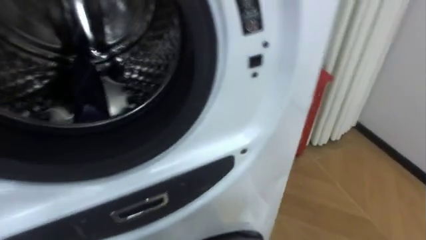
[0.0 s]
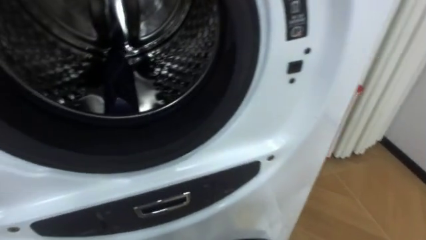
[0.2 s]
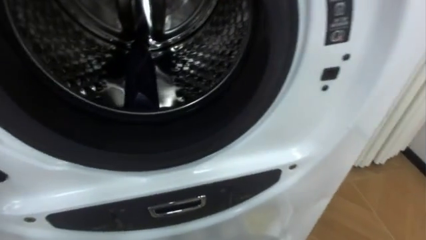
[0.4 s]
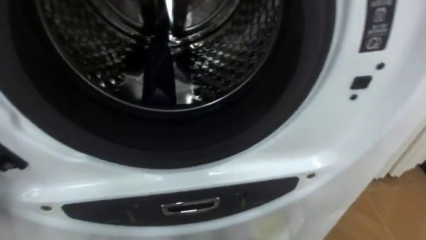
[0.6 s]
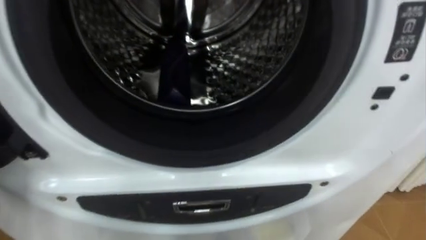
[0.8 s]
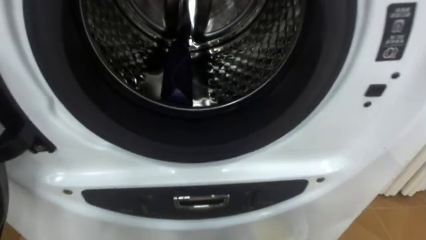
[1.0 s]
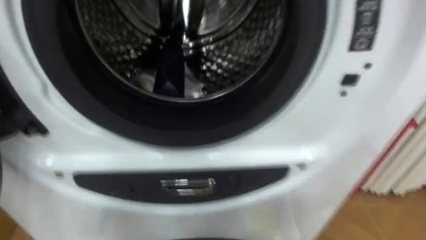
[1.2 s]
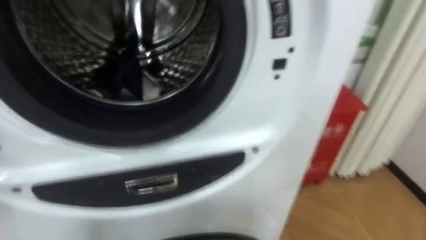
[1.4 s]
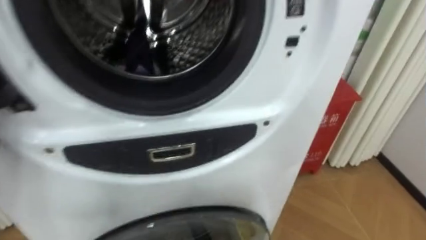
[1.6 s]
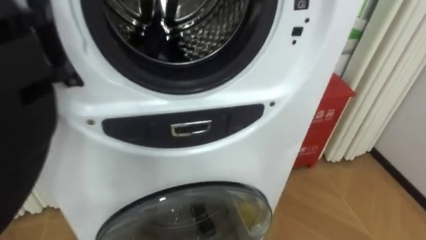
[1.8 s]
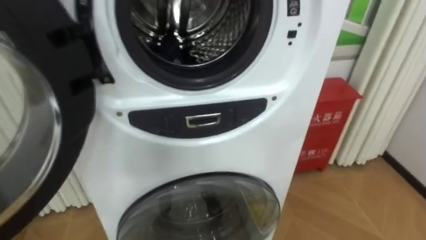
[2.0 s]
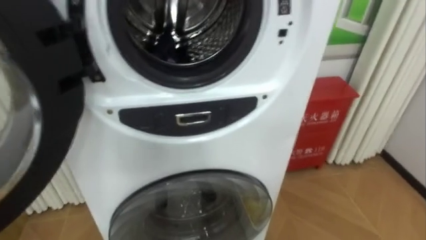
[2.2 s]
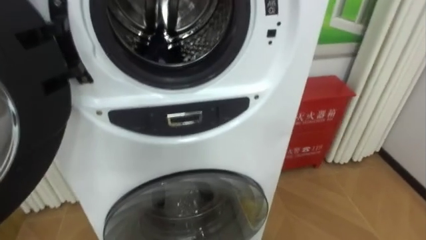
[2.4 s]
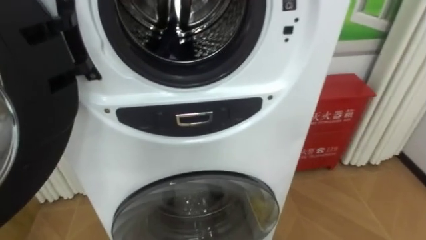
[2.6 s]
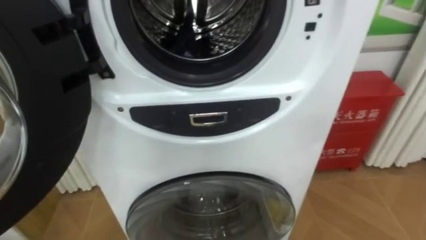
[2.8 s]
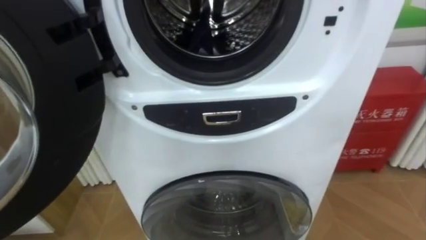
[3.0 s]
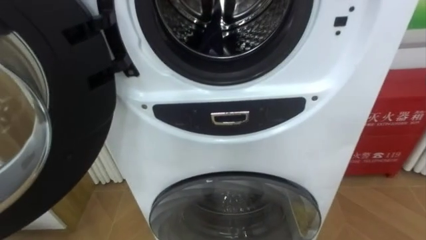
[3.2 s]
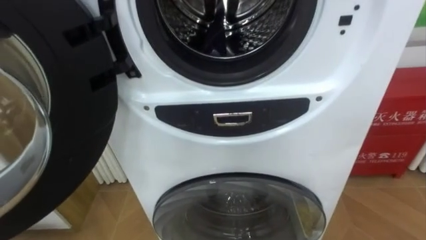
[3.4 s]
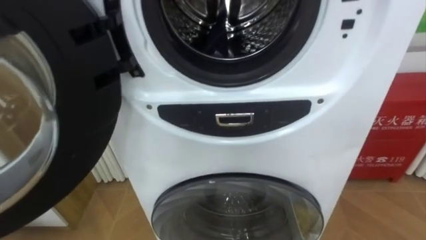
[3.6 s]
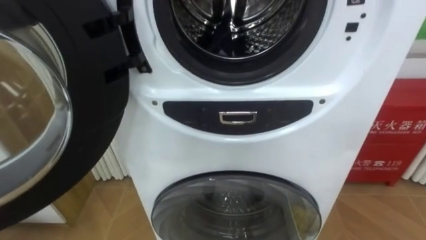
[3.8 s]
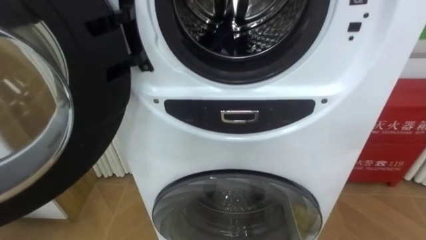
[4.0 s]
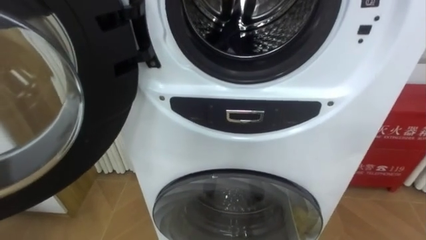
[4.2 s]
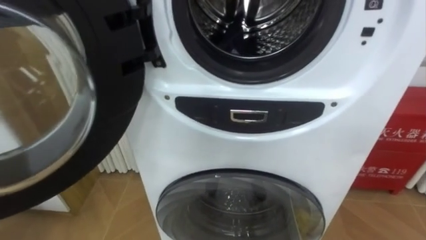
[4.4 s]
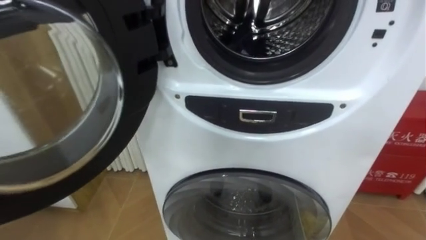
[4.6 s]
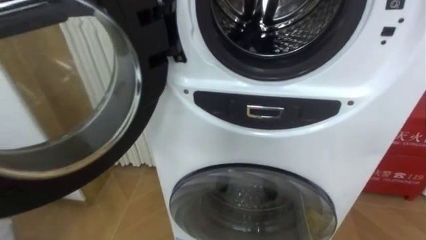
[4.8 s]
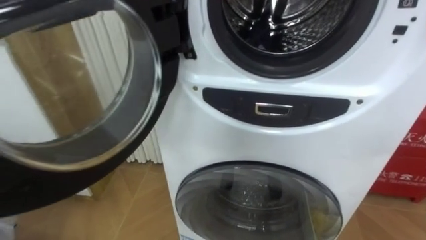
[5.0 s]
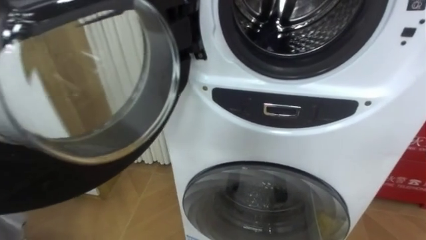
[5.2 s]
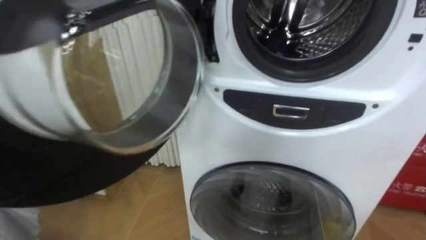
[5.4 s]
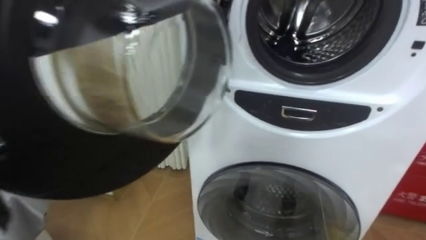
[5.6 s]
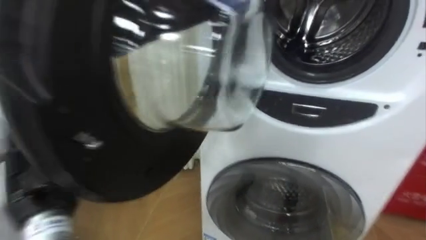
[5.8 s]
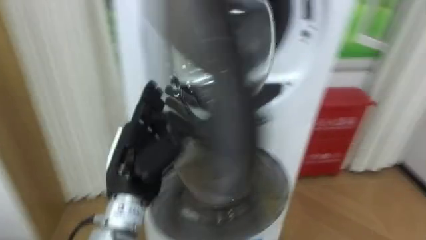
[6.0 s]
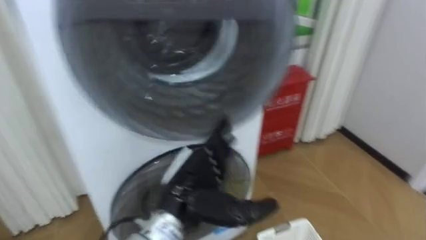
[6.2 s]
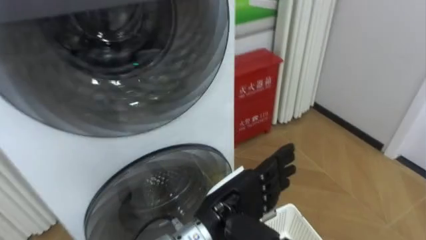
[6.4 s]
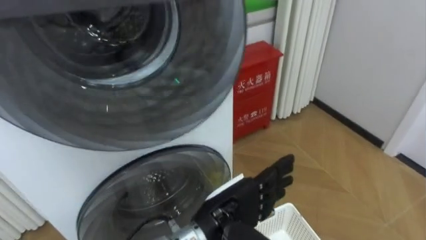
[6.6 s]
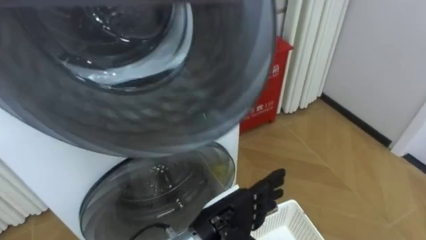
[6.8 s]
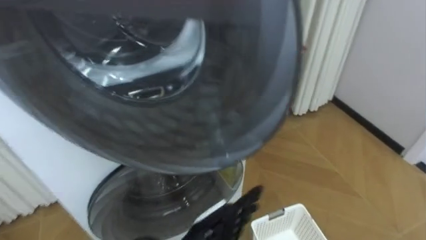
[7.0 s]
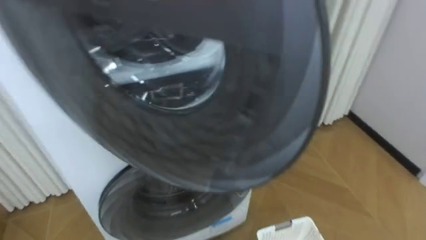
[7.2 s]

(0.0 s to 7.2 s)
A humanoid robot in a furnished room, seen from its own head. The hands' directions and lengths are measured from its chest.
Task of the whole recording: Open the washing machine door, take out the yellow clothes, place them in the box on the right, and close the washing machine door.
5.8 s - 7.2 s: The robot rotates roughly 25 degrees to its right.

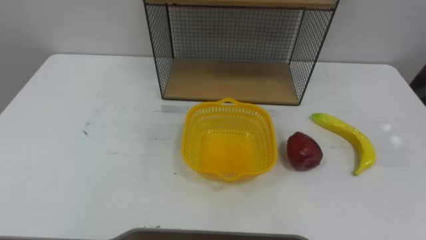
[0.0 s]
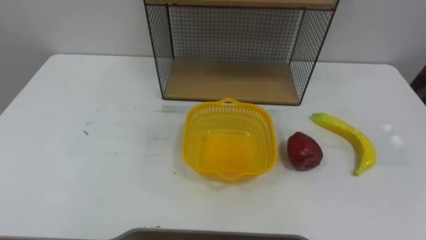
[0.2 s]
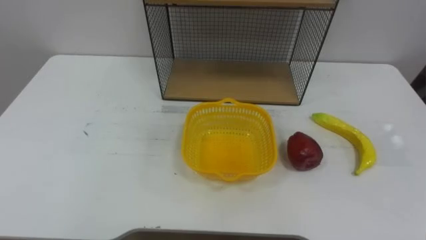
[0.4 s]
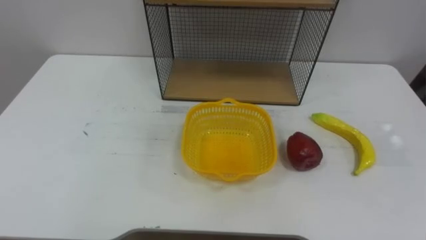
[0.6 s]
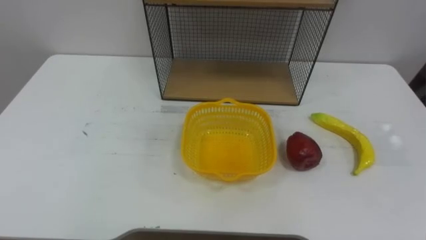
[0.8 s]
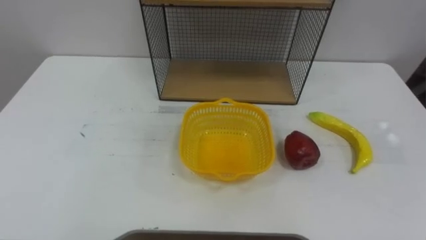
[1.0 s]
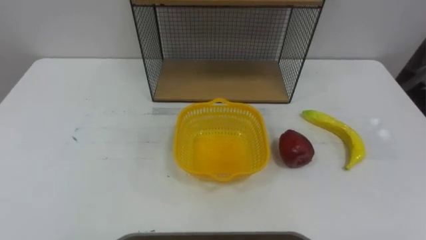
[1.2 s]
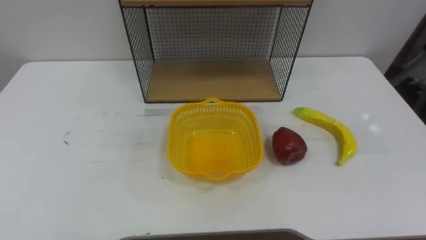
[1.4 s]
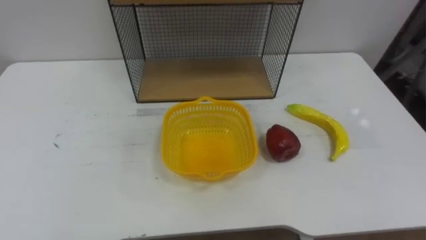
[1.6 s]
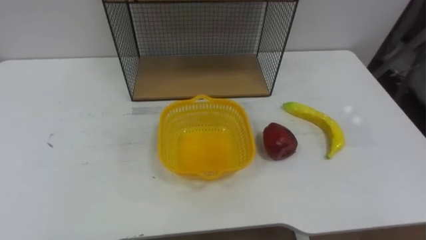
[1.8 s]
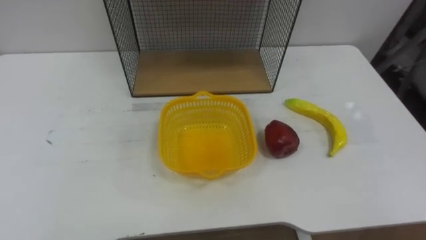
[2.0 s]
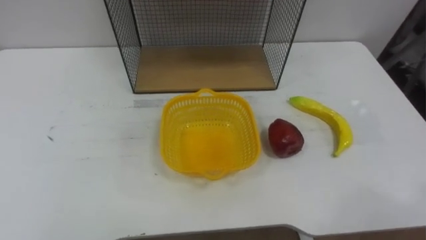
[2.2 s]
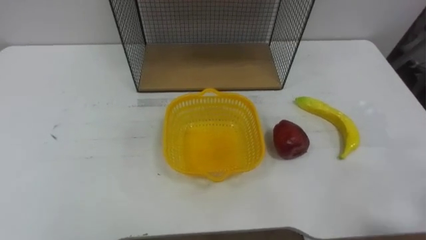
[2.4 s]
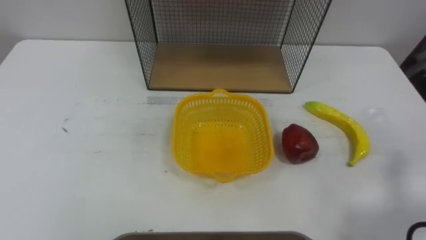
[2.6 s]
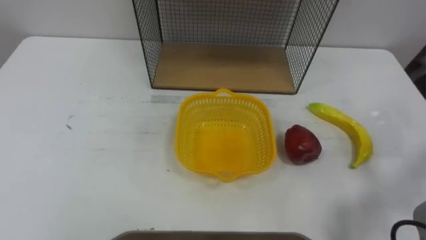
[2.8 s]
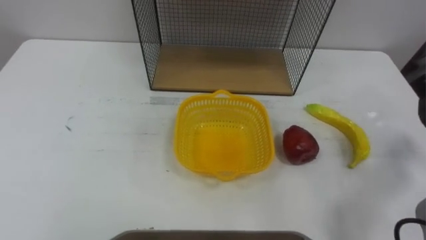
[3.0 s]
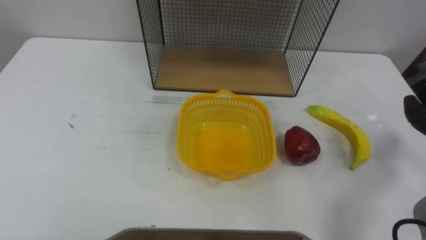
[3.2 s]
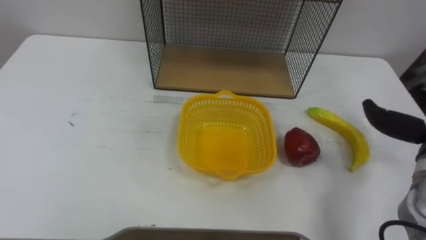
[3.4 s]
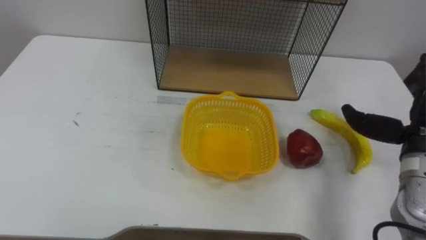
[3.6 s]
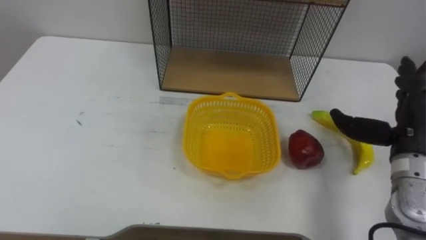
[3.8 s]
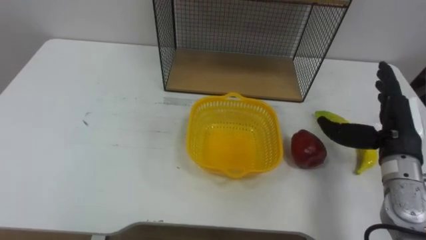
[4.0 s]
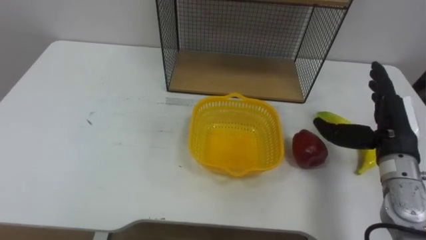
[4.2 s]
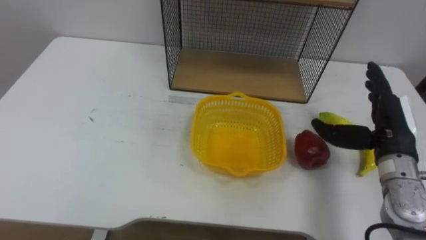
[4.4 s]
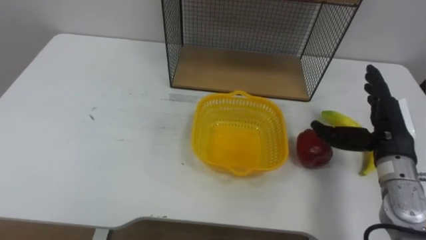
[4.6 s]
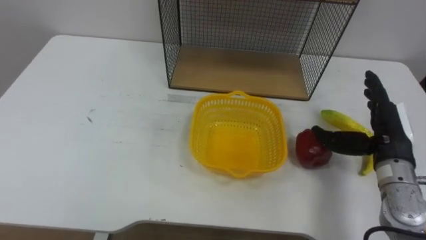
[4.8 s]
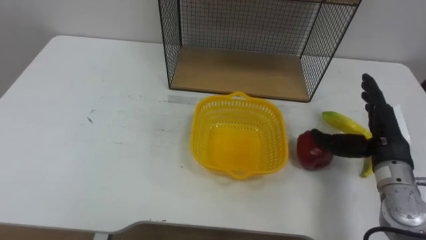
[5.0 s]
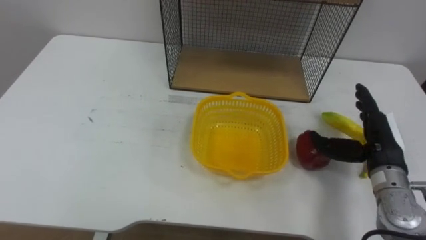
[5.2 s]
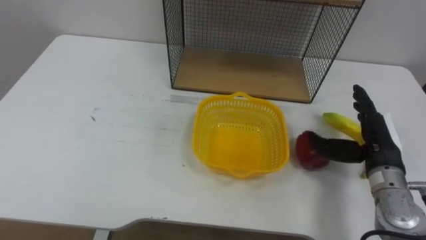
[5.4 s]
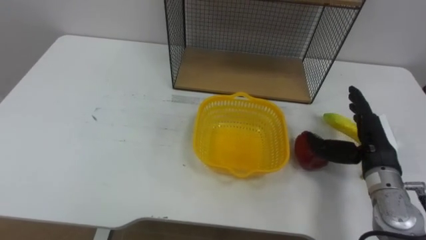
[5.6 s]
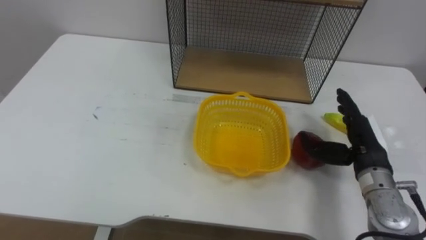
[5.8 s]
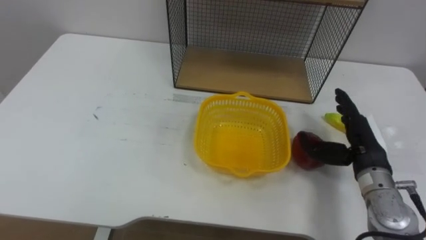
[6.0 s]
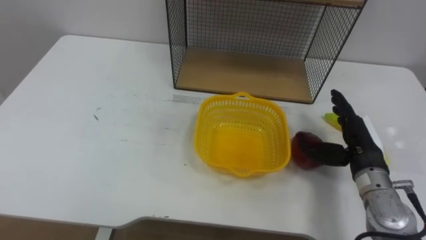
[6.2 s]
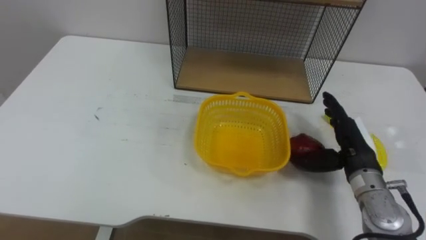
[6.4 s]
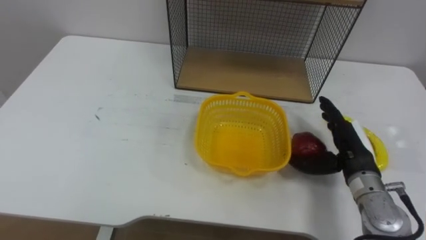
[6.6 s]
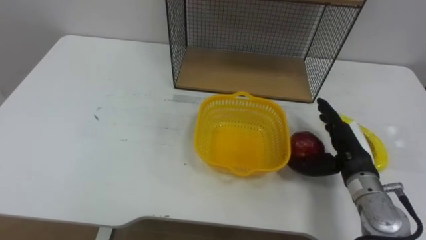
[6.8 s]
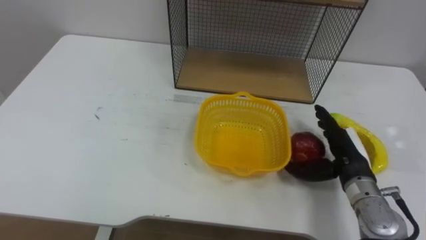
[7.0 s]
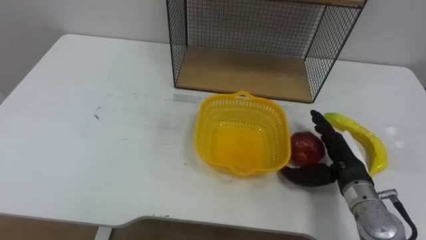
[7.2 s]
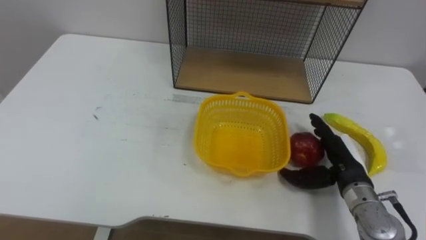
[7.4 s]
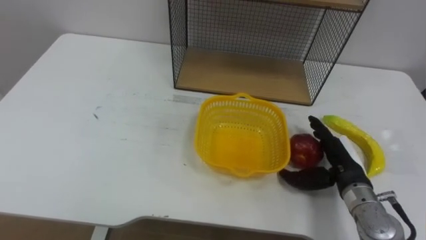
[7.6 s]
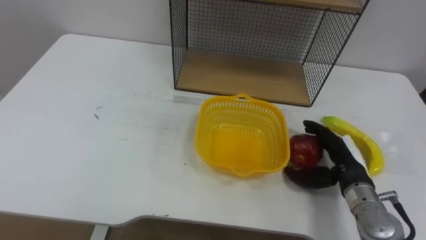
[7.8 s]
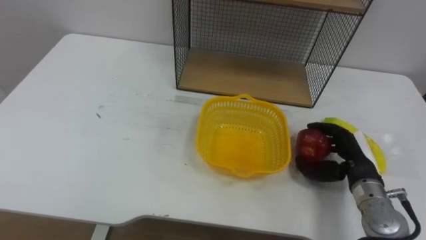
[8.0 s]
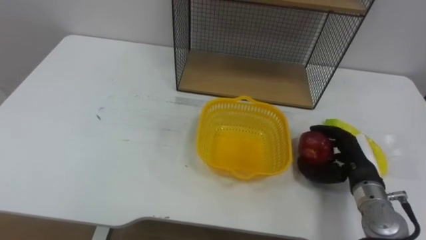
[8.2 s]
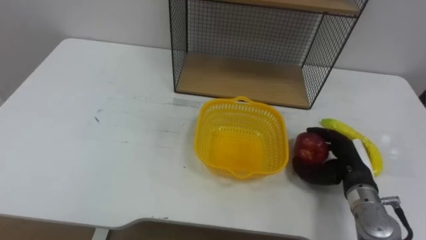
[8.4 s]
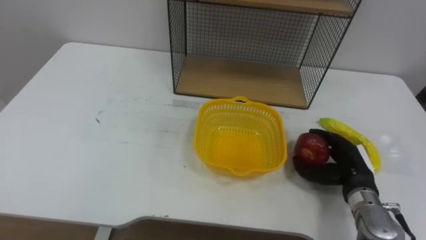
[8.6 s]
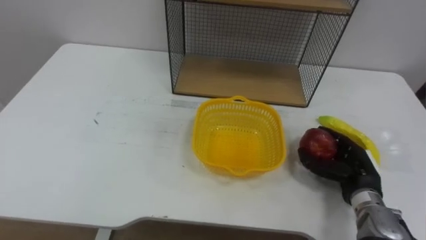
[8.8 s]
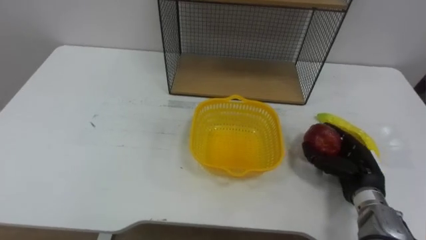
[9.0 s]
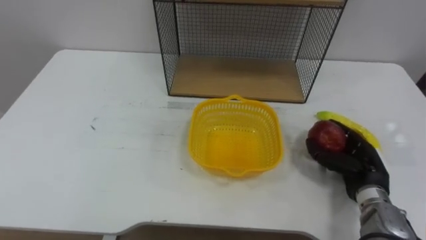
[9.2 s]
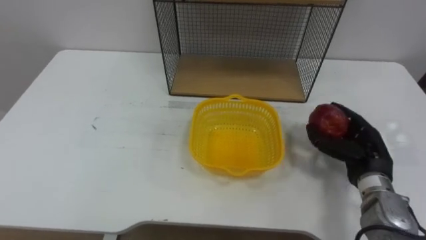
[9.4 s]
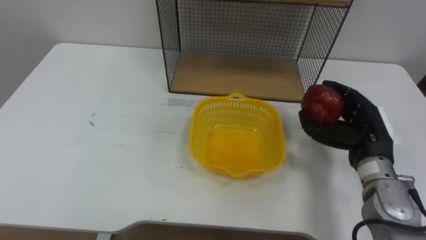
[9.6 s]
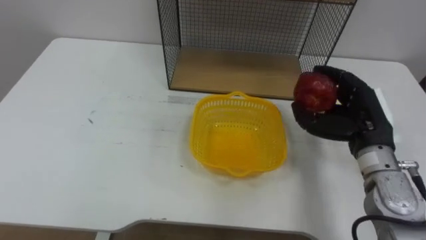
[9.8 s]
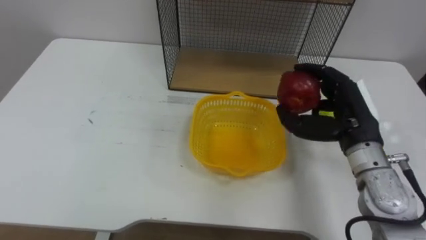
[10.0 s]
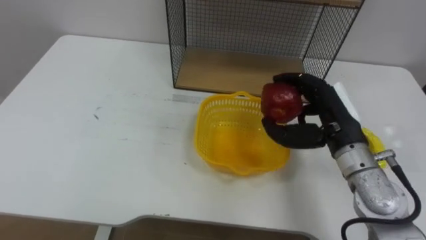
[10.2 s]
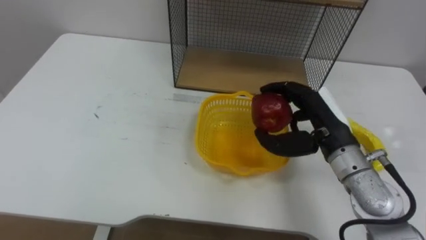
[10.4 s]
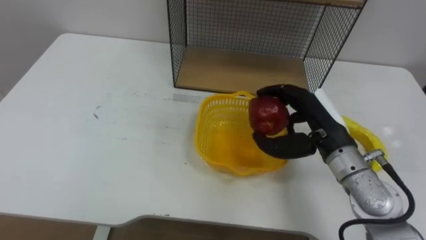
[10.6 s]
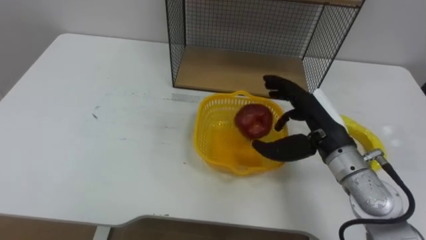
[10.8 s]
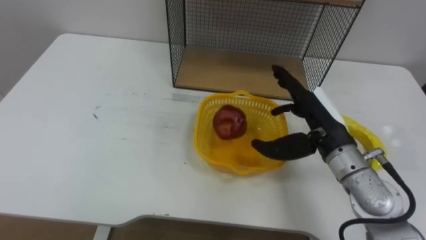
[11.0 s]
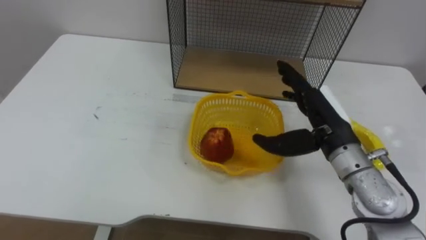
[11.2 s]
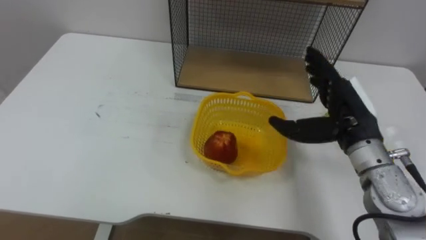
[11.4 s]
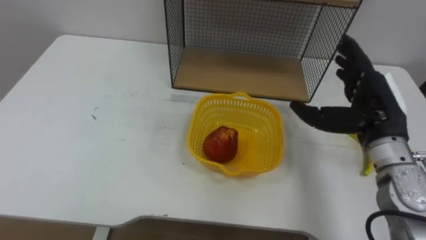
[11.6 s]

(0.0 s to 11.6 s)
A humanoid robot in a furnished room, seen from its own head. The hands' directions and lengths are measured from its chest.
Task of the whole recording: Put the fruit on the table into the basket, then place the basket on the shelf.
4.4 s - 5.8 s: The right hand changes place by some 5 cm.
7.2 s - 8.8 s: The right hand moves about 5 cm, and closes up.
8.8 s - 10.2 s: The right hand is displaced upward and to the left by approximately 15 cm.
10.2 s - 11.6 s: The right hand shifts by some 5 cm, and opens its fingers.
